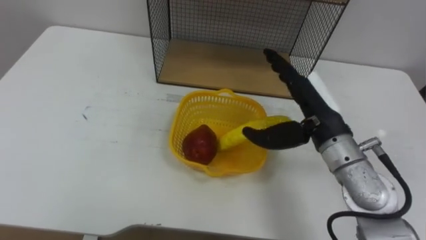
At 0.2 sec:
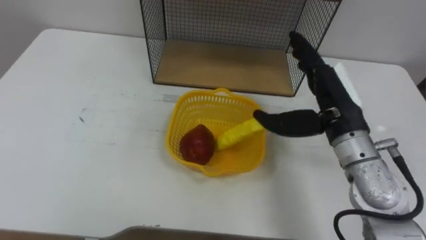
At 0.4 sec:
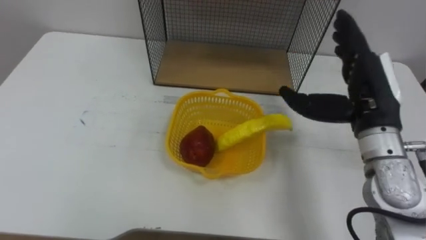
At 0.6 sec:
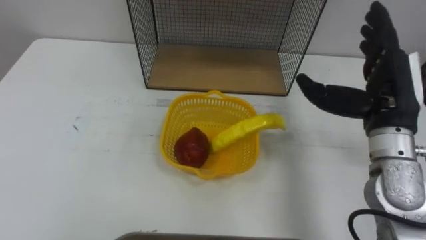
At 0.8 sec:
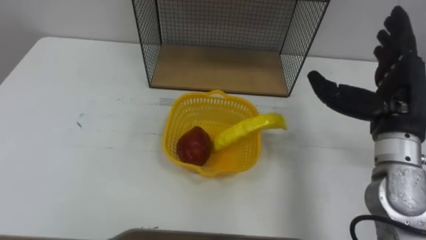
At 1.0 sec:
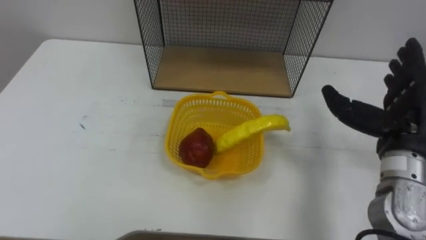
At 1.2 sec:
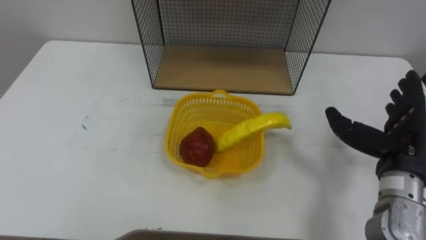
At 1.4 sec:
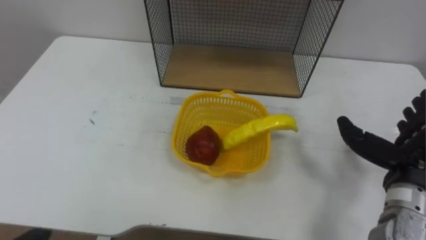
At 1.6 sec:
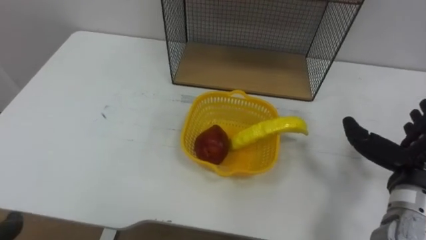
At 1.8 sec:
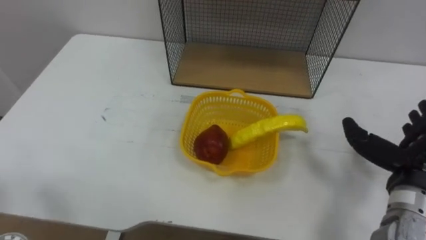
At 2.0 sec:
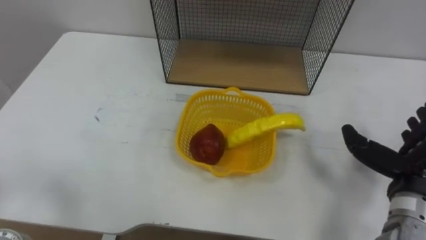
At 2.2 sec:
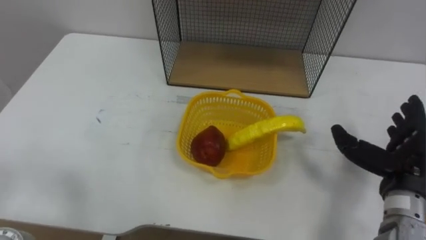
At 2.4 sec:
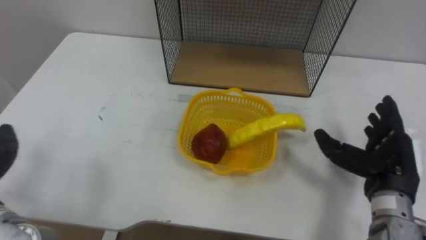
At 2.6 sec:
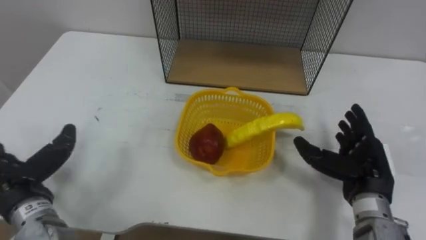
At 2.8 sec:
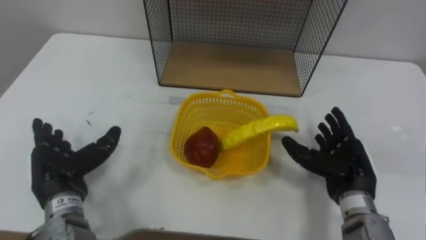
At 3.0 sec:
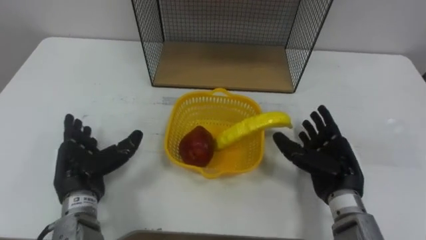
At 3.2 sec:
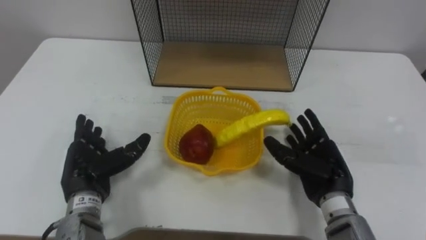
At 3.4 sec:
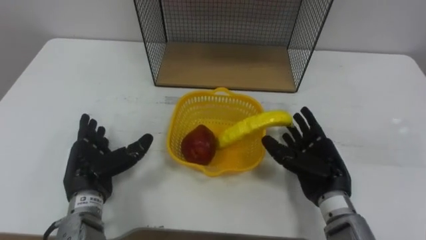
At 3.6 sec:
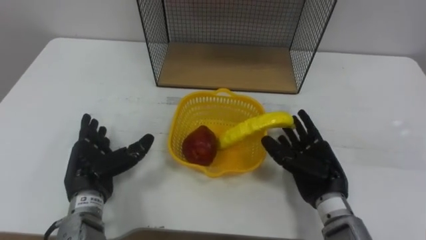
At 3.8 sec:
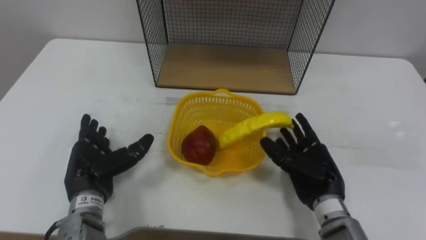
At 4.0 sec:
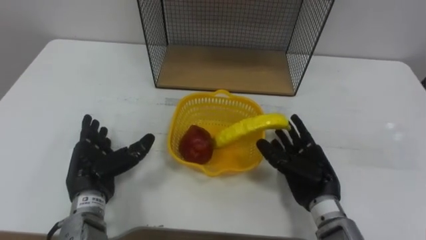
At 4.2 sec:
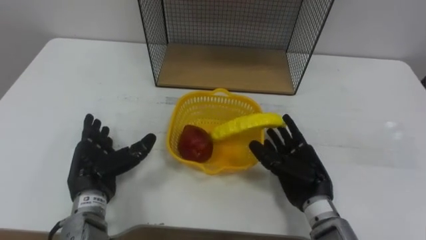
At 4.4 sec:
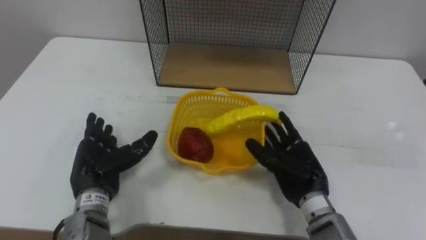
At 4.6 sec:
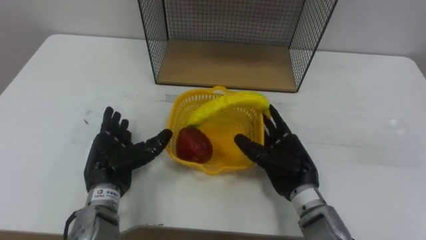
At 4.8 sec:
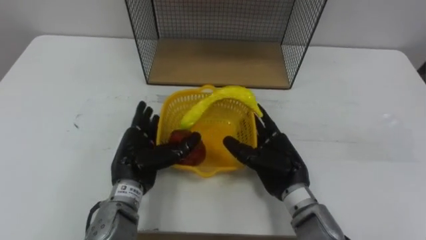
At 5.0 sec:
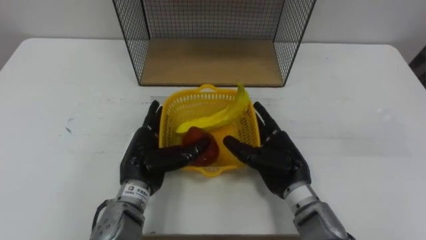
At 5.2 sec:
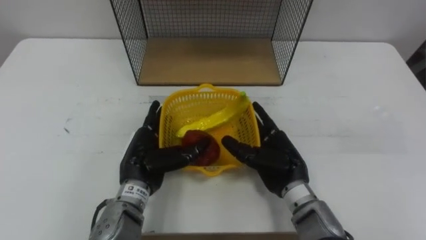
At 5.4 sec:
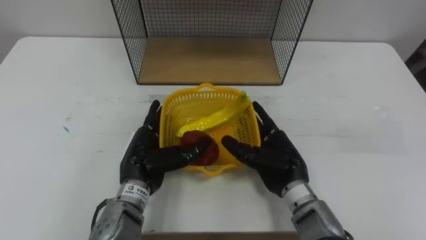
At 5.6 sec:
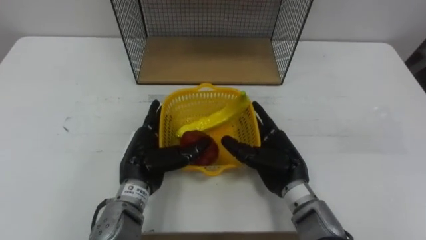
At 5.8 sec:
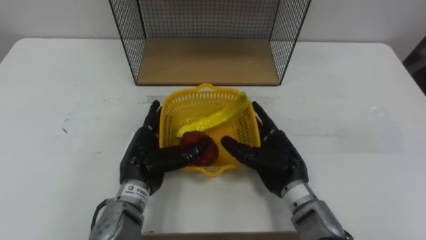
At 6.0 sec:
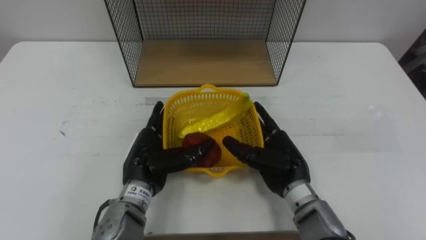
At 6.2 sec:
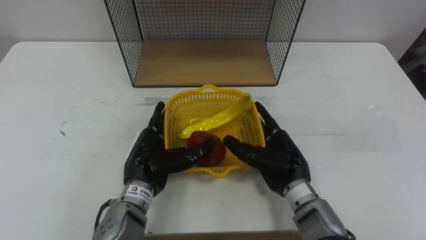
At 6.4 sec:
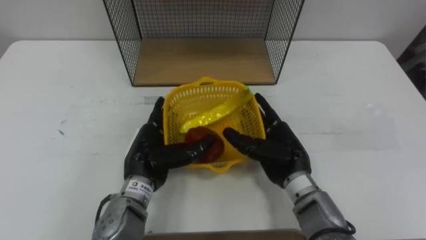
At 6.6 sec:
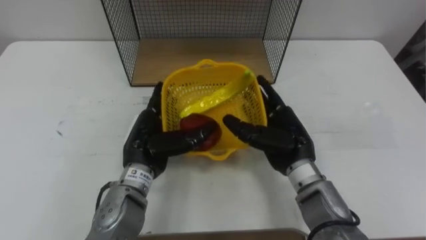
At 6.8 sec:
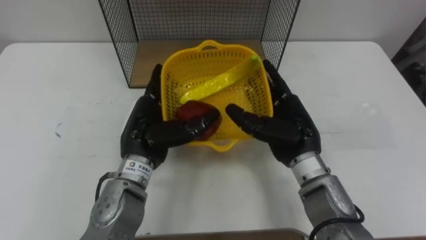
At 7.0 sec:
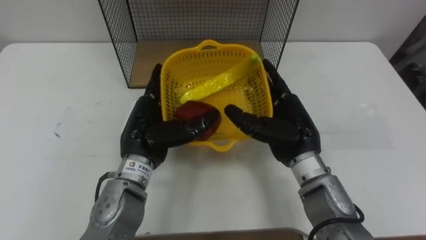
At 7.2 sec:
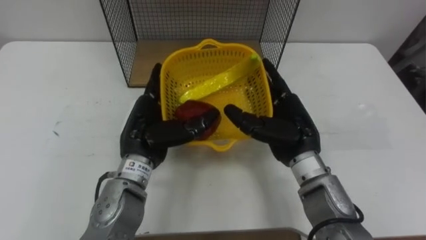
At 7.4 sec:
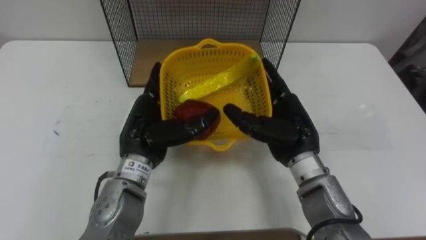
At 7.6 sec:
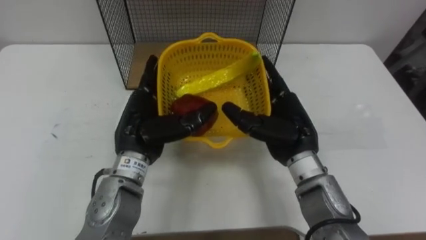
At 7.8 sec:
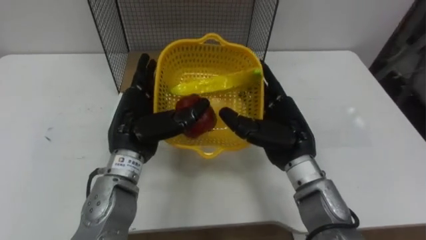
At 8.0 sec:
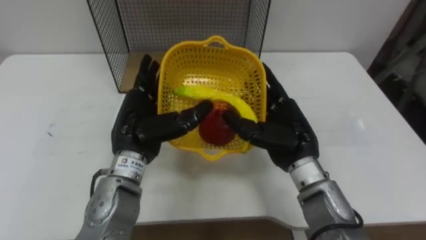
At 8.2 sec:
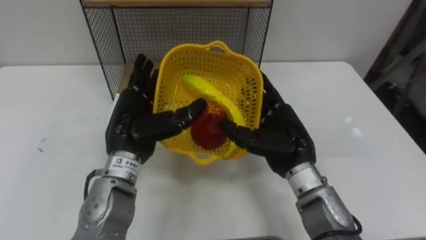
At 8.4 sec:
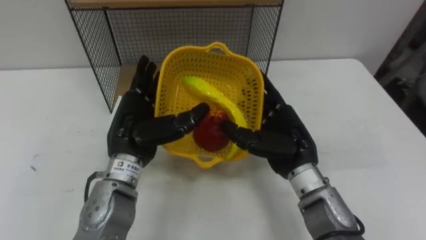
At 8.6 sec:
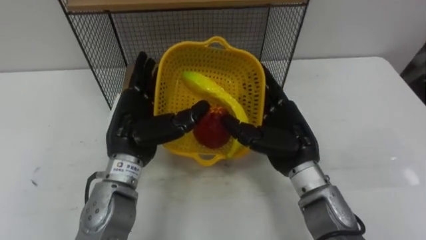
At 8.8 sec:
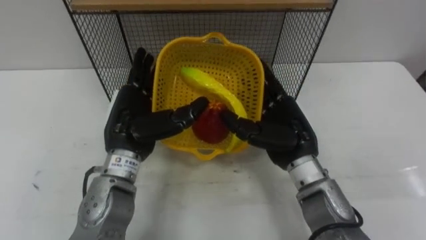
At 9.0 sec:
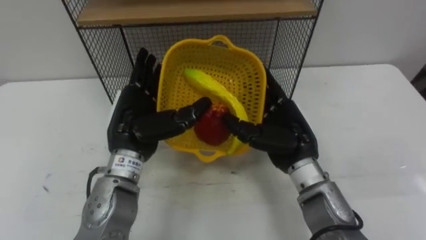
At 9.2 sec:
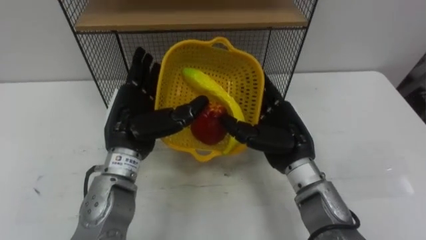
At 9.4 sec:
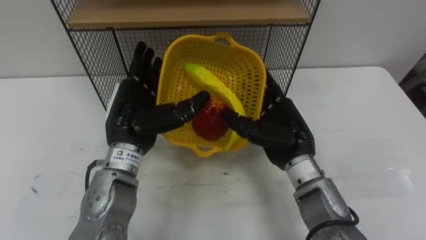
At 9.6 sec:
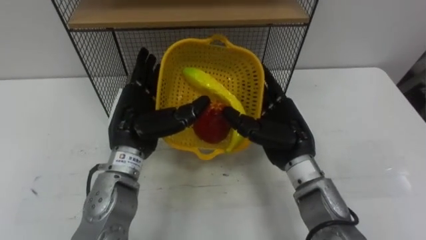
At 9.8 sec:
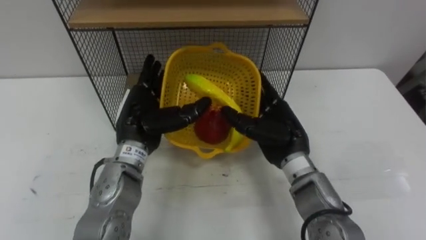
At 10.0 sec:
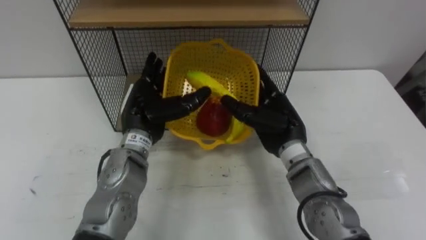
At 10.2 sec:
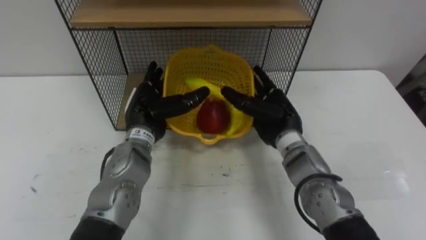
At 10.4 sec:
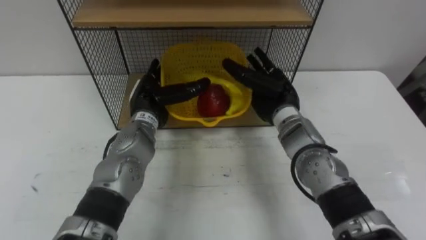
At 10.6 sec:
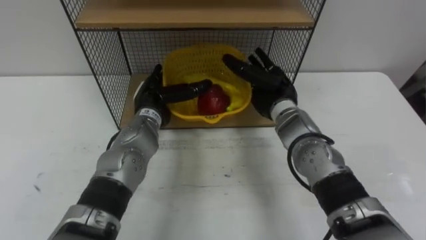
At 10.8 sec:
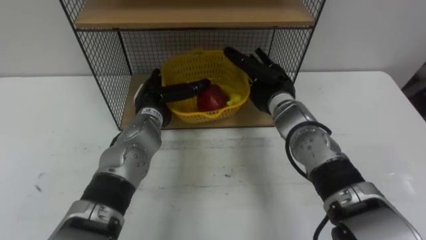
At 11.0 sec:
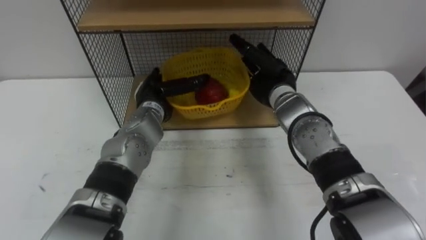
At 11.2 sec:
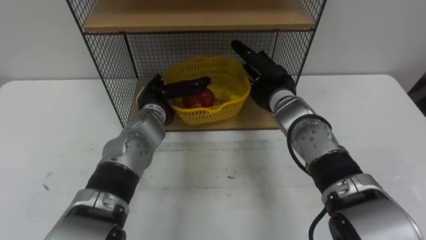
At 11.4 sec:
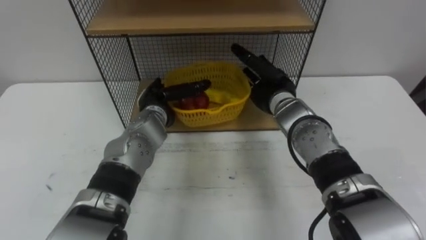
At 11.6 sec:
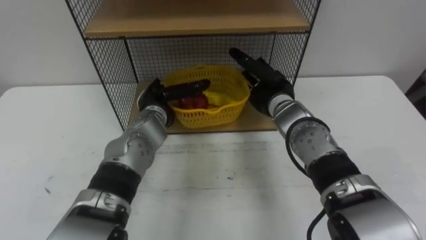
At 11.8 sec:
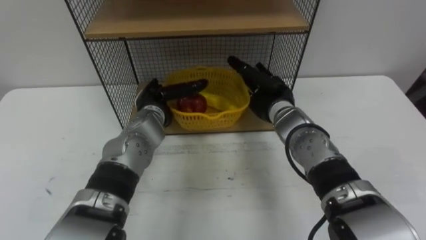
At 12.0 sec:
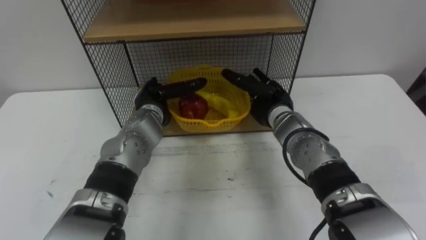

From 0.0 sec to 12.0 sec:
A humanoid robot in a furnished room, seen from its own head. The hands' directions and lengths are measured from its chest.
Task of the whole recording: Put the fruit on the table into the basket, then place the basket on the shelf.
From 0.0 sec to 1.6 sec: The right hand heads to the right and backward, covering about 15 cm.
From 1.6 sec to 3.0 sec: The right hand moves to the left and downward, approximately 10 cm.
From 3.0 sec to 4.4 sec: The right hand goes roughly 5 cm to the left.
From 4.4 sec to 6.0 sec: The left hand travels to the right by roughly 10 cm.
From 6.0 sec to 7.6 sec: The hands both shift upward by approximately 5 cm.
From 9.0 sec to 10.4 sec: The right hand shifts roughly 10 cm forward. Meanwhile the left hand moves forward and downward, roughly 10 cm.

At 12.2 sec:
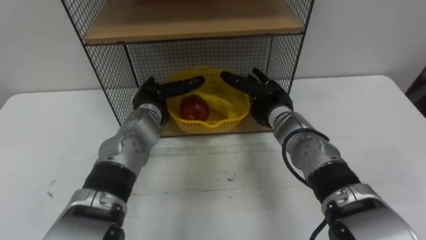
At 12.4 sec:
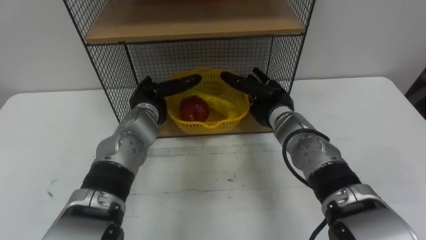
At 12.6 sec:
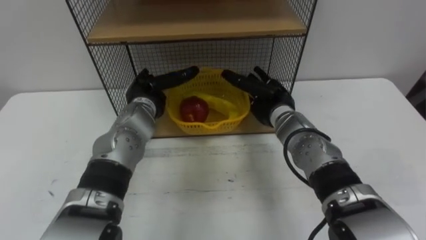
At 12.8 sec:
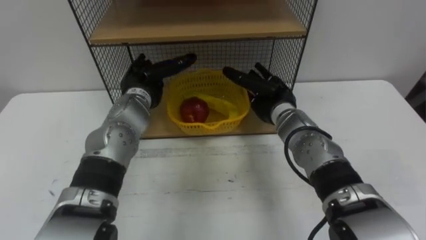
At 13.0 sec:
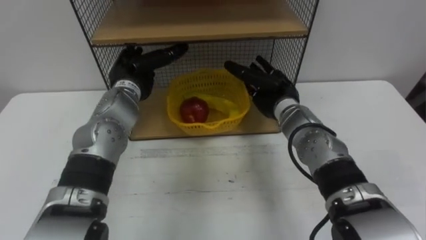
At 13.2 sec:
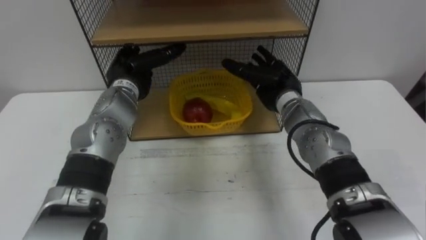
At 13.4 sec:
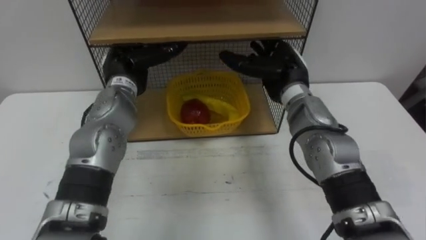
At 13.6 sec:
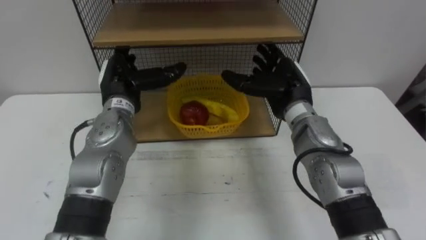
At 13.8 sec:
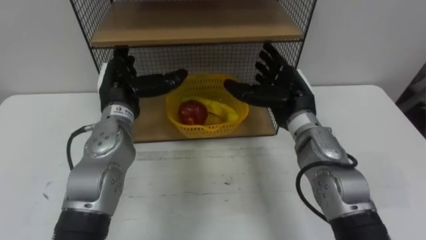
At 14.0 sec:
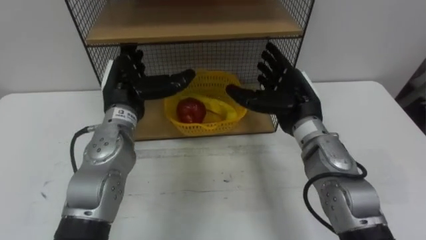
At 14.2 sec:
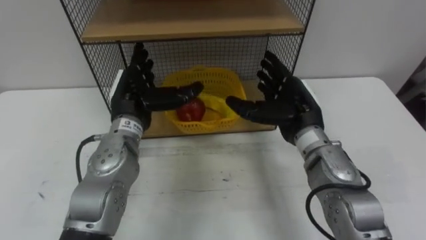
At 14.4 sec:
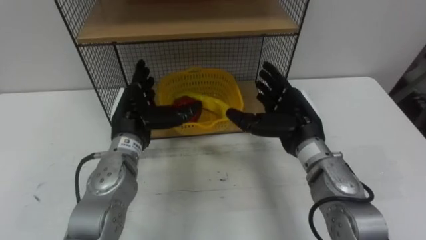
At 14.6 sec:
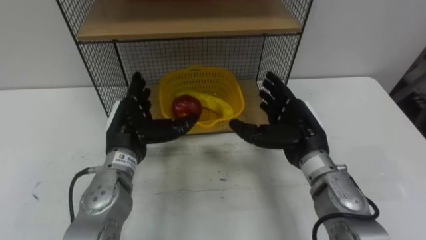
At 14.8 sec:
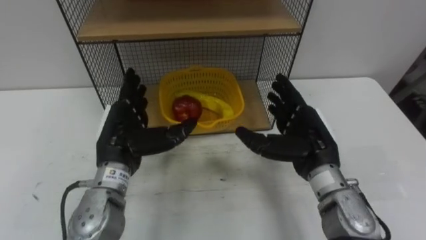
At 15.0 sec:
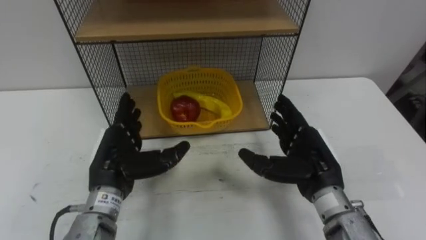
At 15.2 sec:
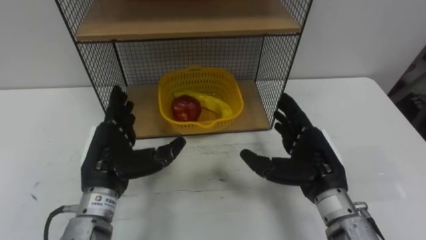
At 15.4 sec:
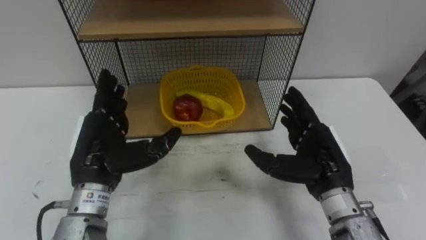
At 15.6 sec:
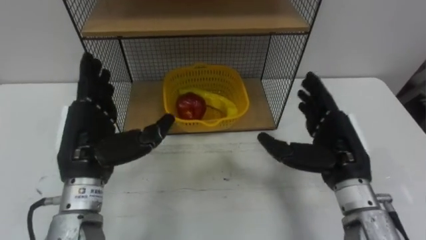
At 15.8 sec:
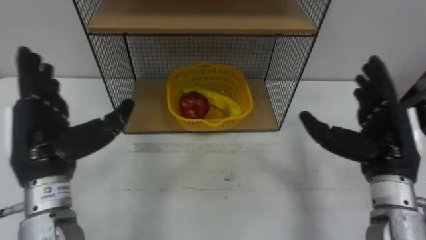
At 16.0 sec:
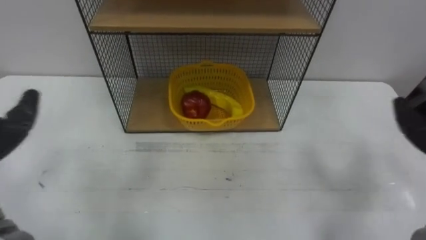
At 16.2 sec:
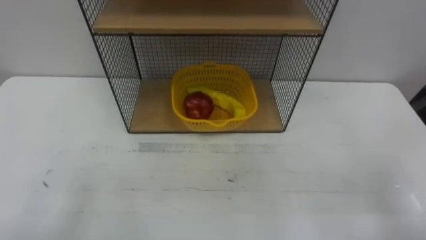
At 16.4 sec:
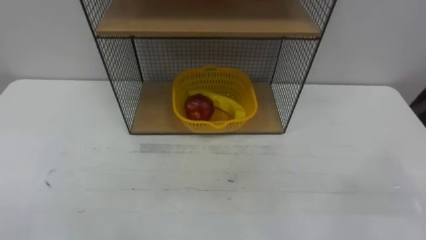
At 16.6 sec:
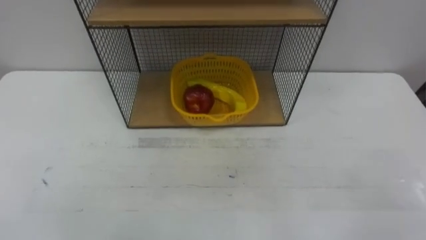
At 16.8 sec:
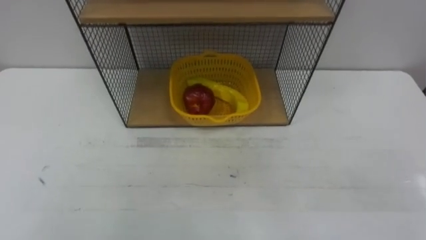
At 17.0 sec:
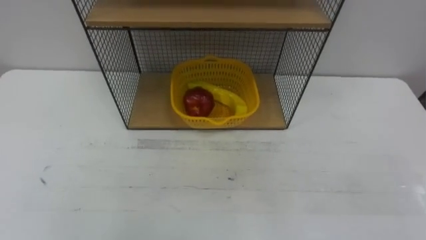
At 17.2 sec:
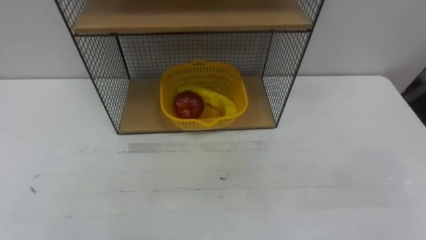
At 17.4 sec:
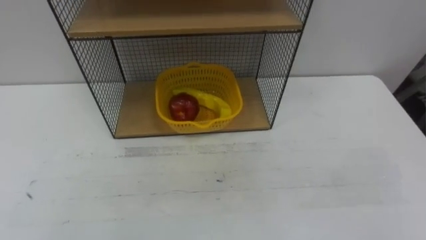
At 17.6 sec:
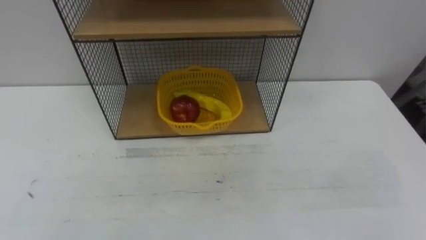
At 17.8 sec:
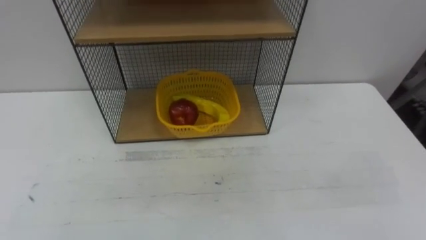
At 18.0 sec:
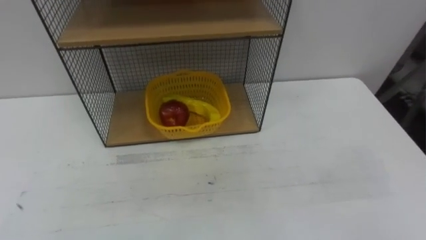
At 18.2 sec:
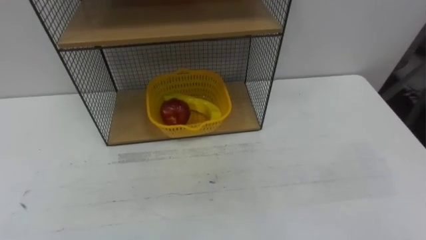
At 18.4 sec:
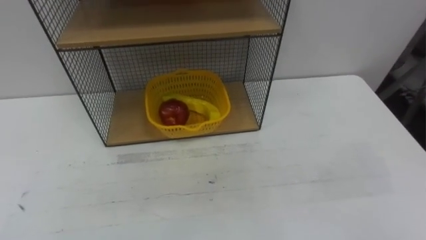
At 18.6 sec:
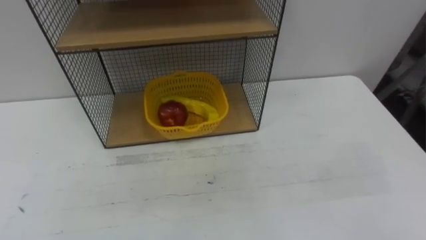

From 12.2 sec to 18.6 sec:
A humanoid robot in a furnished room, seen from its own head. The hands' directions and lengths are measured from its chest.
Task of the whole recording: Put the fruit on the table into the basket, then place the basket on the shelf.
From 12.2 sec to 13.8 sec: The two hands go some 5 cm upward.
From 13.8 sec to 15.4 sec: The two hands go roughly 10 cm backward.
